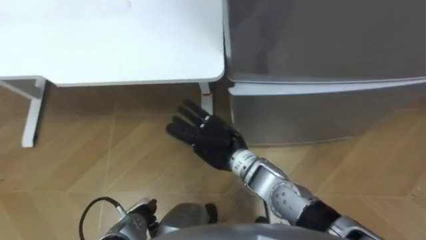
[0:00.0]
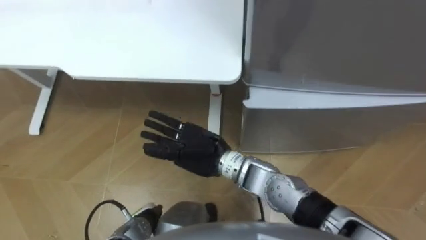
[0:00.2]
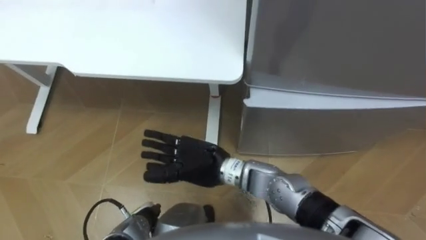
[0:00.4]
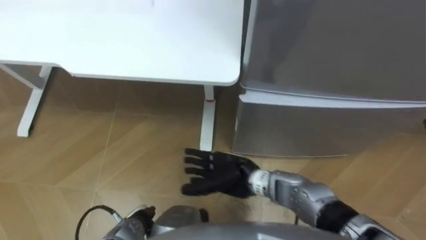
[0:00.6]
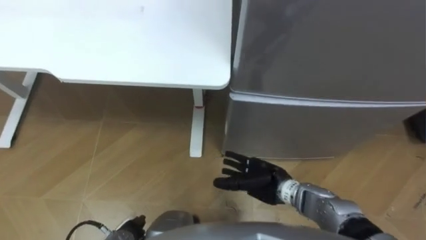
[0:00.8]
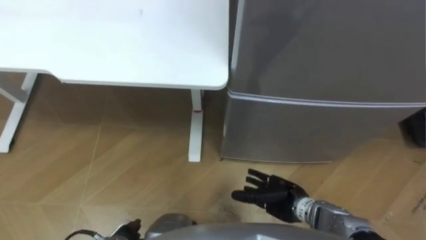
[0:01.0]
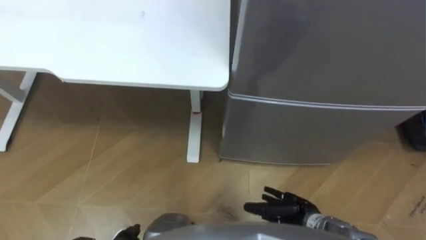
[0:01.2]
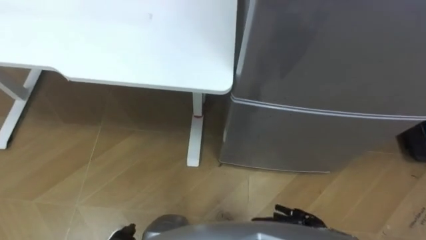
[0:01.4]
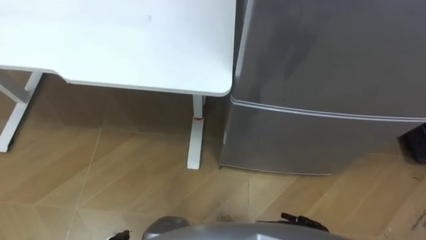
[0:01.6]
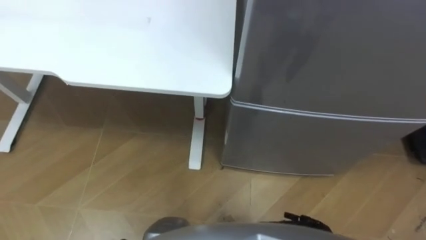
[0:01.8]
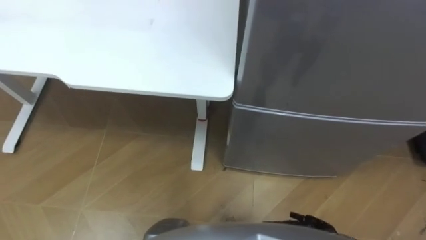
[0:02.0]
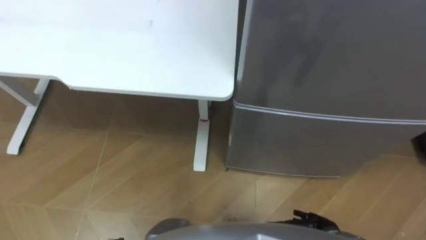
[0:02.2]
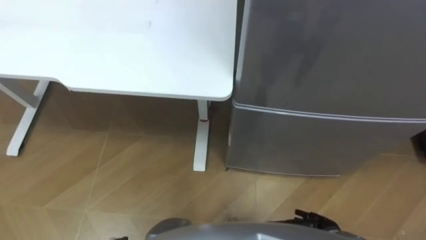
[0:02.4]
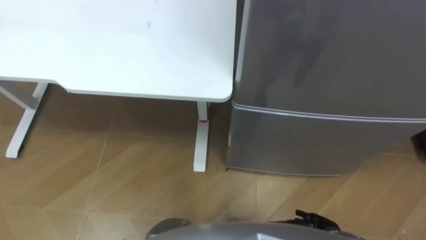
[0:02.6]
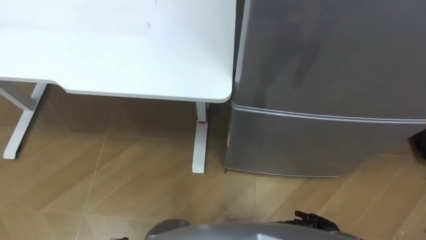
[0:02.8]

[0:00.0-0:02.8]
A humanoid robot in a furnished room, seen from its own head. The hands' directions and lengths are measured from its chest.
Task of the whole recording: Place the drink on the table on the bottom shelf of the refrigerator, then close the drawer and the refrigerator door.
0:00.0 to 0:01.4: The right hand heads backward, downward and to the right, covering some 25 cm.
0:01.4 to 0:02.8: The right hand changes place by roughly 5 cm.

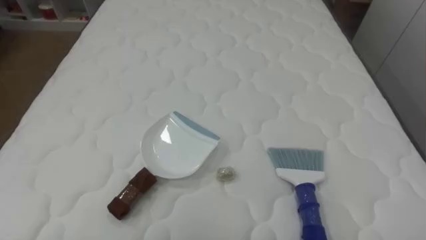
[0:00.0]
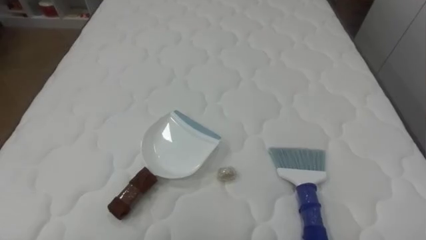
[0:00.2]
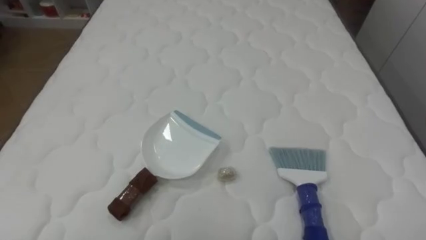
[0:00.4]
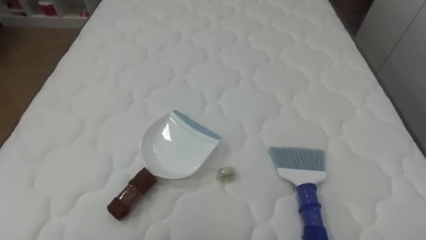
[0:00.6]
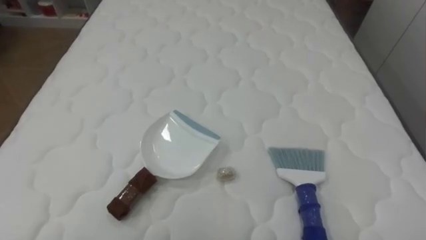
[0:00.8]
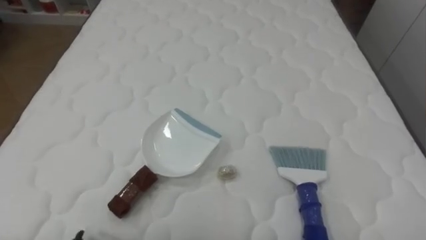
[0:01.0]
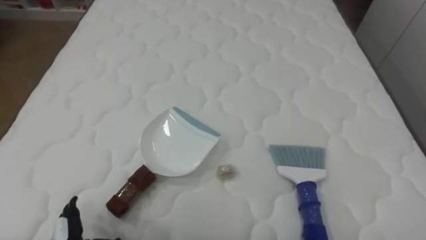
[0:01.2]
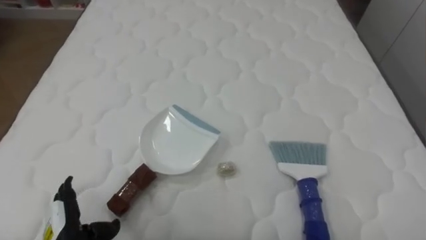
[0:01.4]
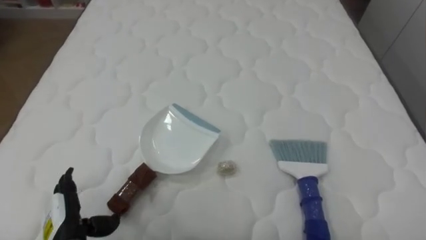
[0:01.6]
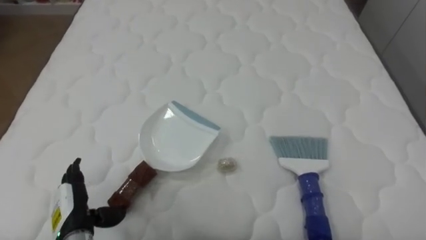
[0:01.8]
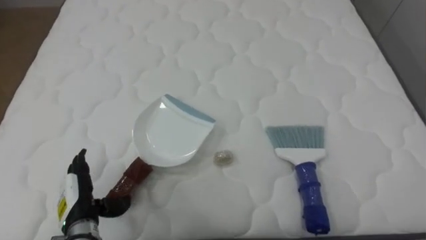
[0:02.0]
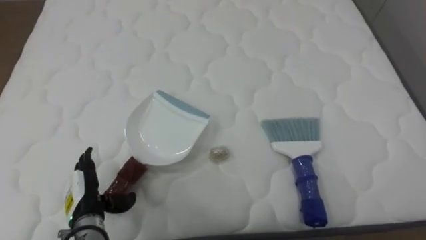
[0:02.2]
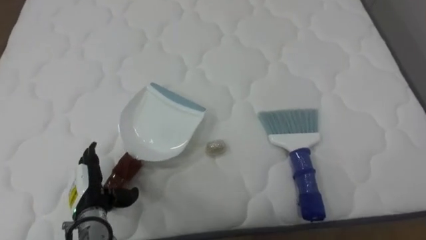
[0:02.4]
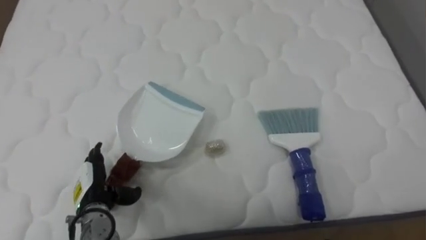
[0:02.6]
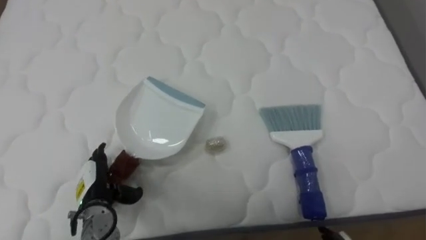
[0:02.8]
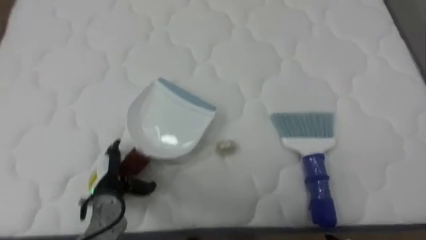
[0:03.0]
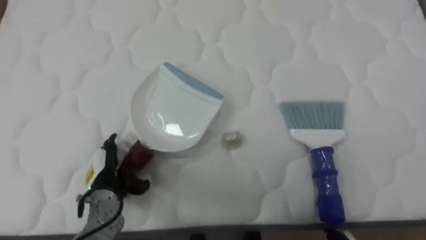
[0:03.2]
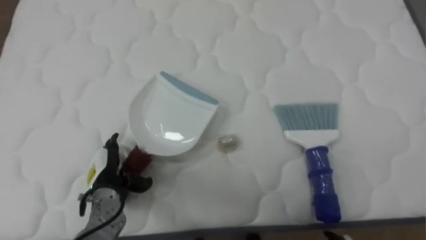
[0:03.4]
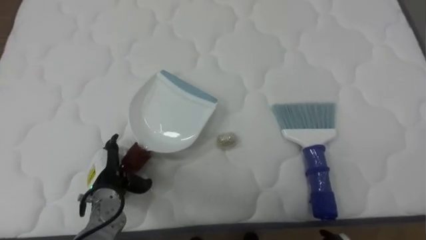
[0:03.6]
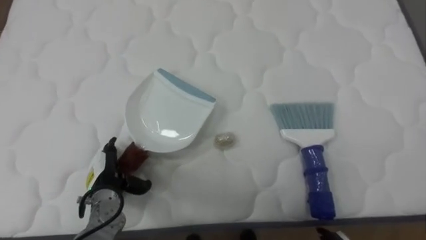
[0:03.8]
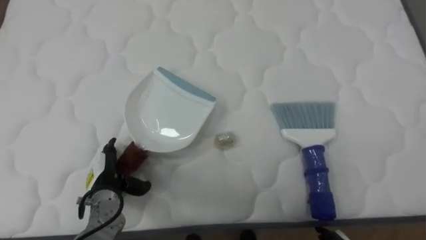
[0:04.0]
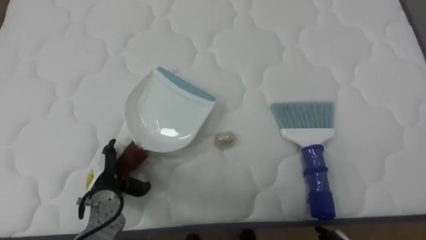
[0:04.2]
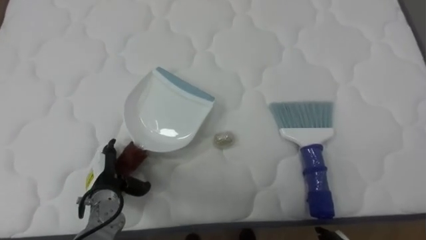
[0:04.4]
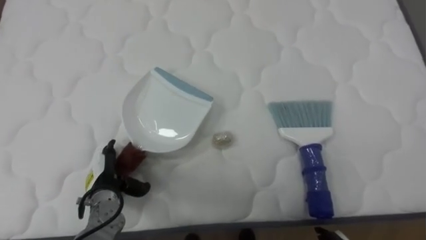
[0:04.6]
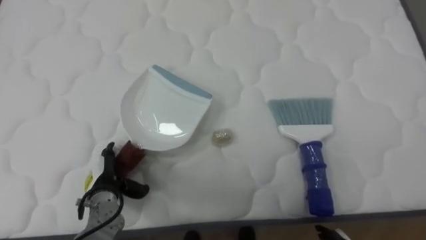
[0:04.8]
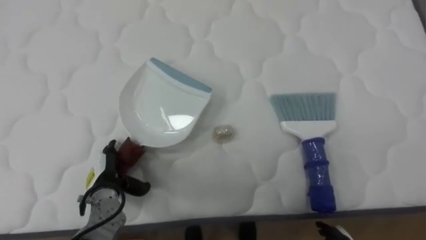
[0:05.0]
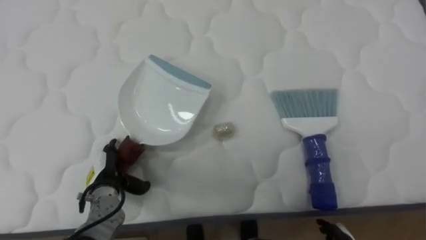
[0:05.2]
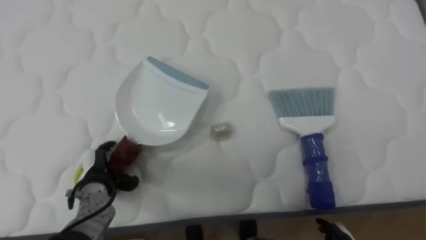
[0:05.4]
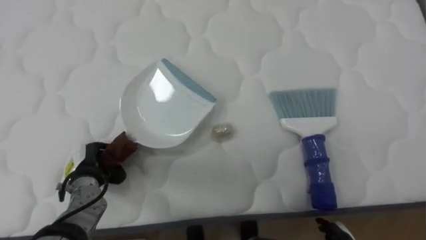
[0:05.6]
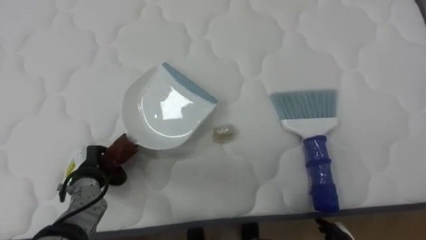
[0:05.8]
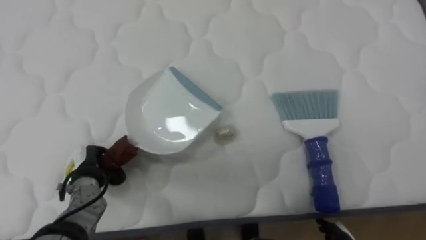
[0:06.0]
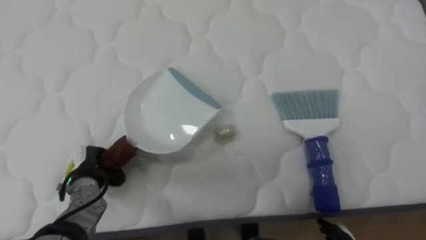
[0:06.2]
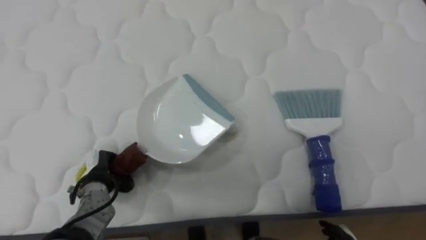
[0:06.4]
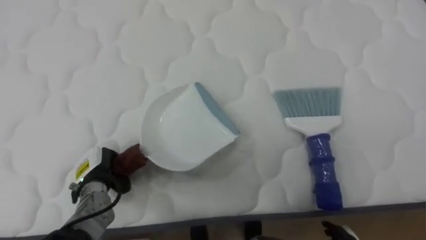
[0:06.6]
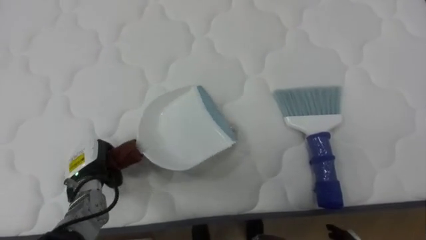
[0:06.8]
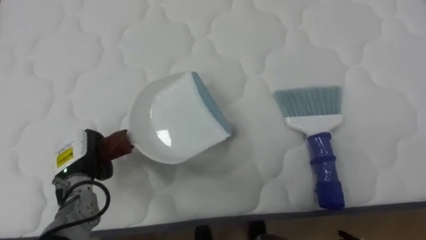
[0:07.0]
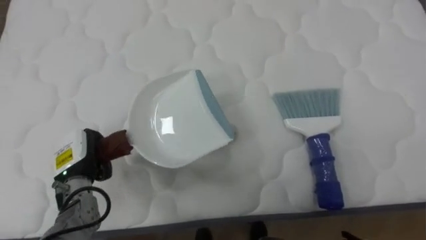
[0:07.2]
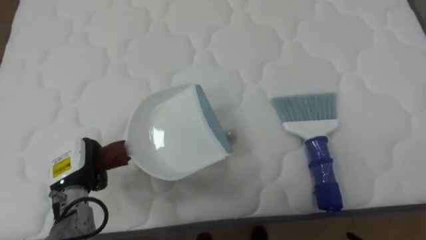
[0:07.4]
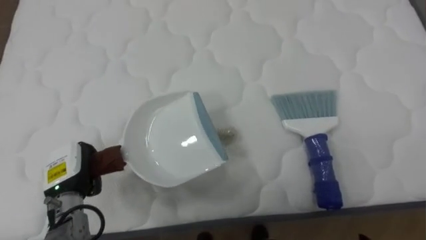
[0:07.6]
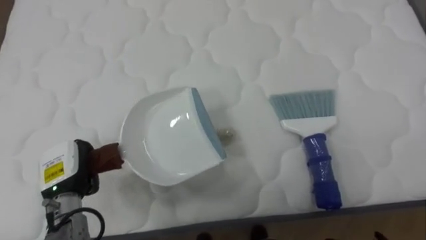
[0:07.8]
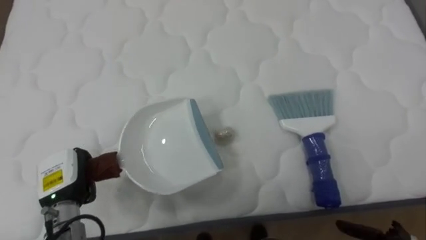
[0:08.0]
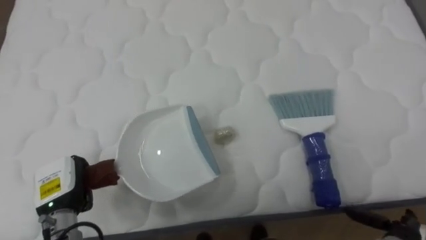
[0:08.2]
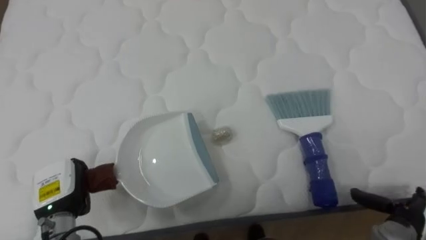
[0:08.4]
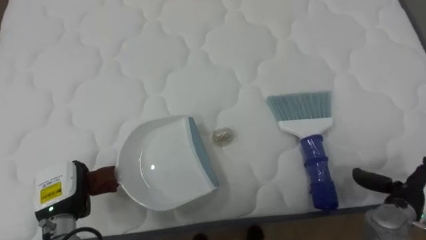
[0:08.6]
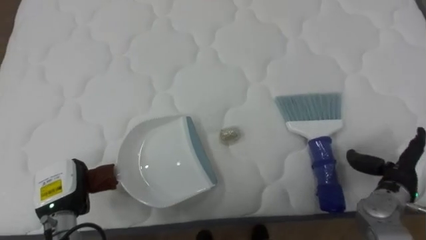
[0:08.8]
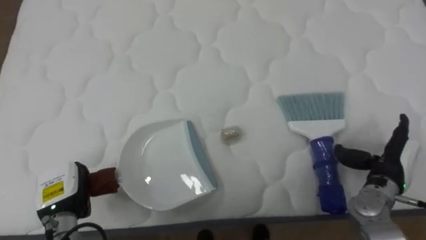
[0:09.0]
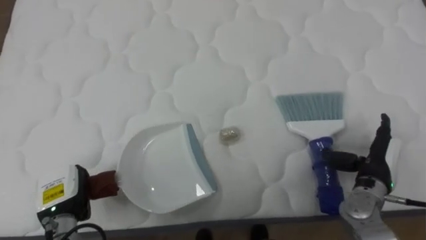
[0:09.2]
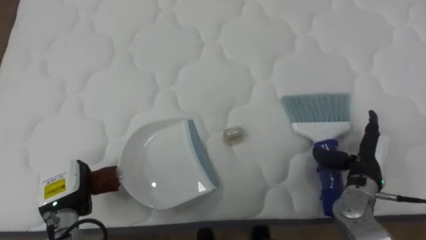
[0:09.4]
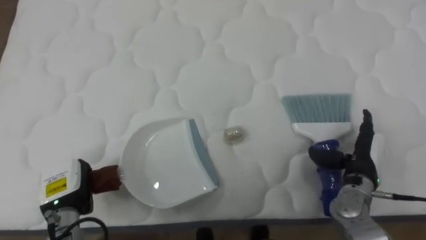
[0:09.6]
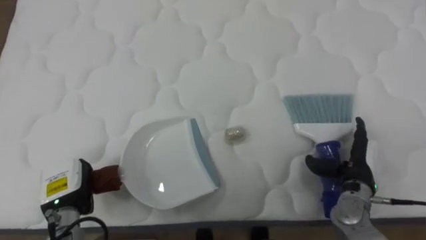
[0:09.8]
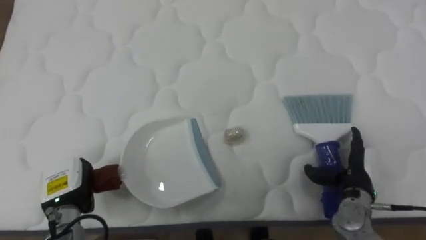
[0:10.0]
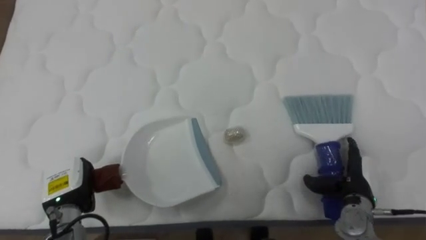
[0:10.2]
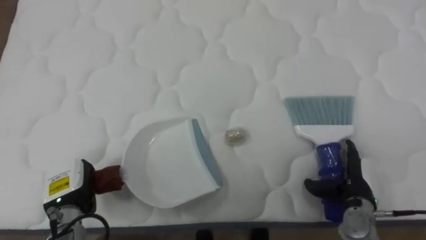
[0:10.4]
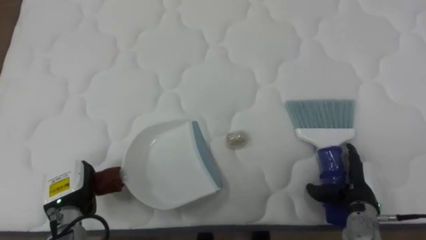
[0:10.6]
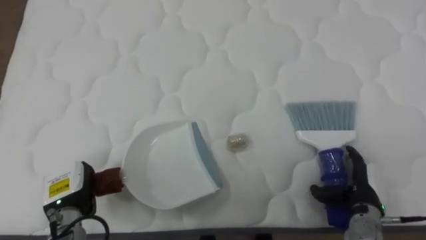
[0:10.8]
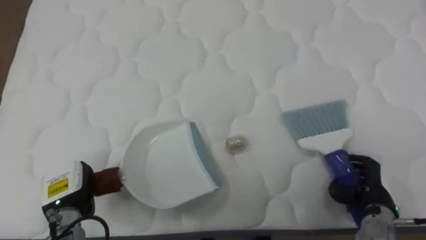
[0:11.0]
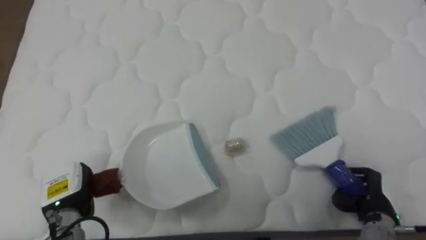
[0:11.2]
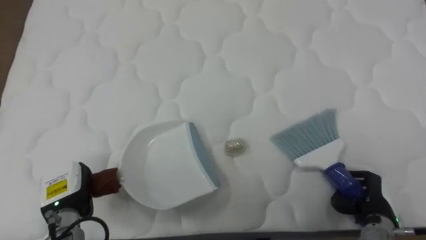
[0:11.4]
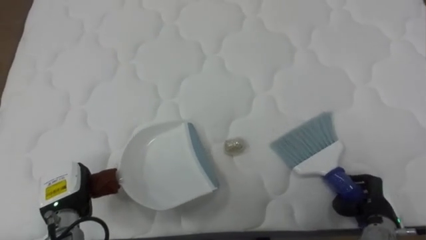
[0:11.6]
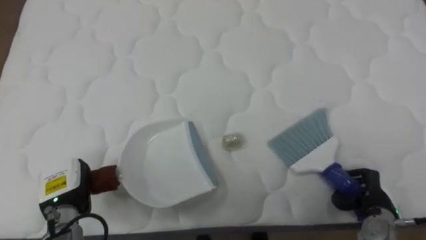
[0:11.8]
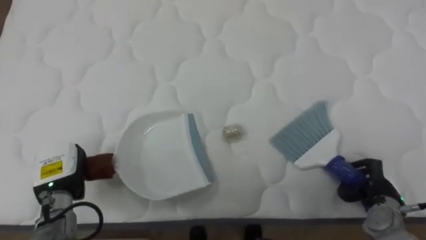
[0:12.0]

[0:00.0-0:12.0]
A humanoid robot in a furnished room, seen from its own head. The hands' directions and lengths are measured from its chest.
Task of the whole recording: Pick up the brush on your right and the dustpan on your left. Use the brush to sweep the crumpled paper on the bed into the dustpan, then turn left and empty it into the basket.
0:01.6 to 0:03.0: The left hand is displaced forward and to the right by about 10 cm.
0:04.4 to 0:06.0: The left hand closes up.
0:09.0 to 0:10.4: The right hand is displaced downward by about 5 cm.
0:10.4 to 0:12.0: The right hand is displaced to the right by some 5 cm, and closes its fingers.

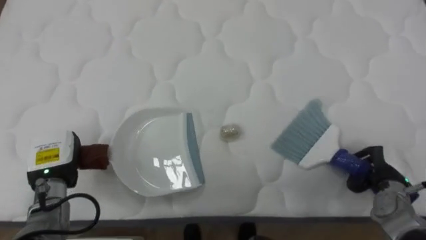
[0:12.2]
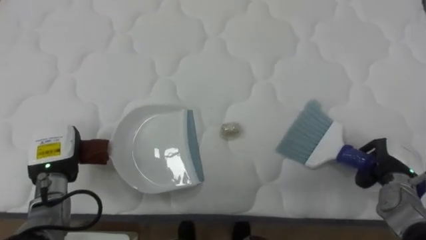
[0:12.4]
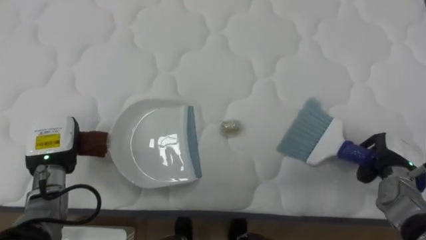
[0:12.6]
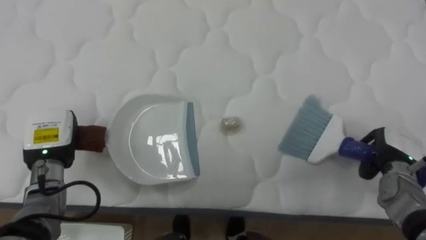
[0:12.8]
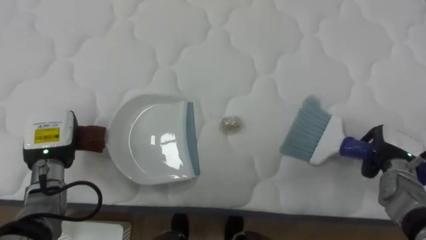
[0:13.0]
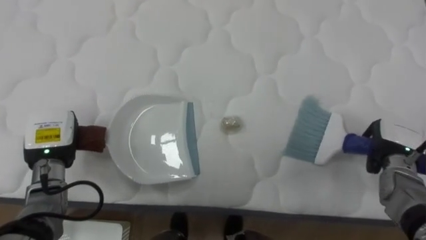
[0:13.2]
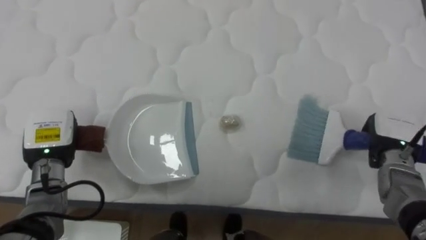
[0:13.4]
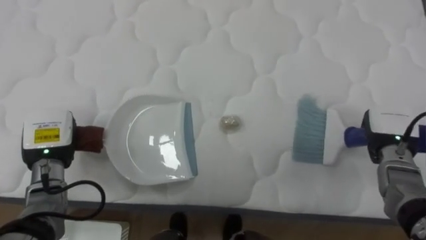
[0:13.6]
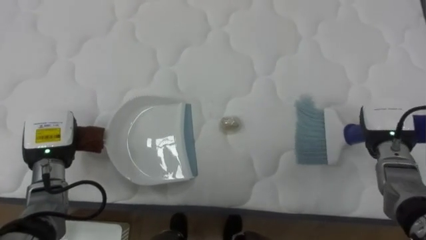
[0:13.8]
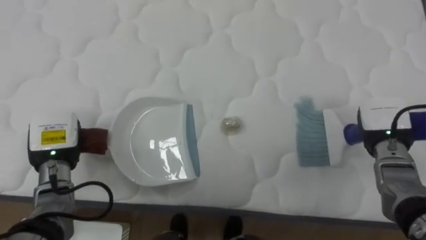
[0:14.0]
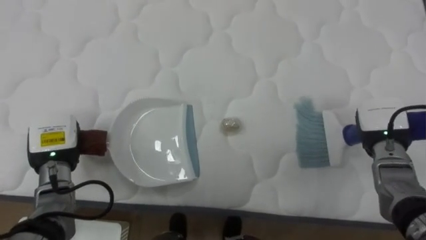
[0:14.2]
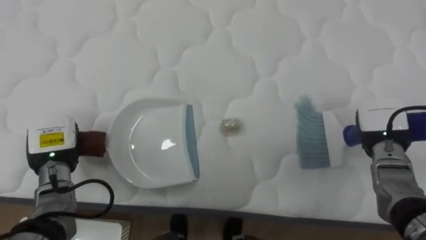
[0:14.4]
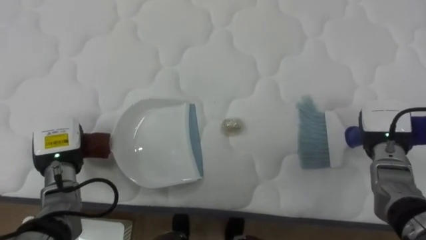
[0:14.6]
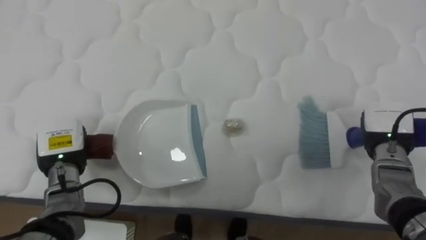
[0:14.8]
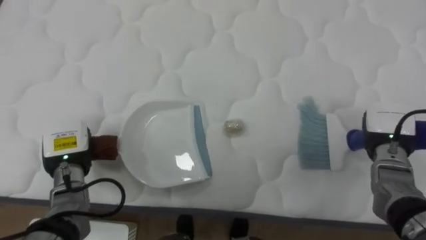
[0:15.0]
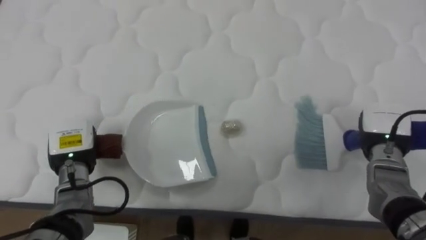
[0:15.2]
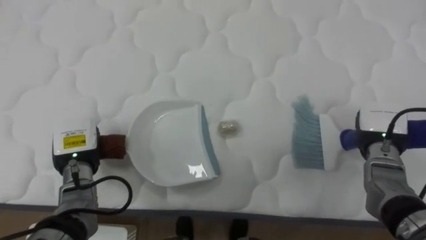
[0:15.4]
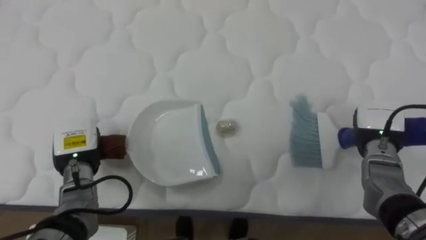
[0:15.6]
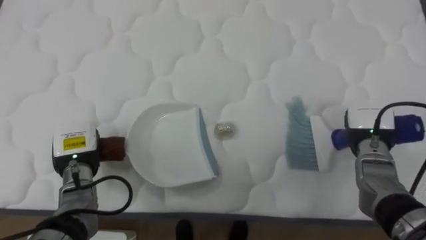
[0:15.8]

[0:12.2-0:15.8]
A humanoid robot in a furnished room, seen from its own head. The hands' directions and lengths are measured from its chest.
Task of the whole recording: Pick up the brush on your right and the dustpan on your left. Use the brush to sweep the crumpled paper on the bed into the dustpan, then turn left and empty it into the basket.
0:12.2 to 0:14.0: The right hand is displaced upward and forward by roughly 10 cm.
